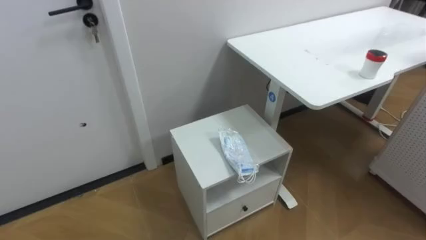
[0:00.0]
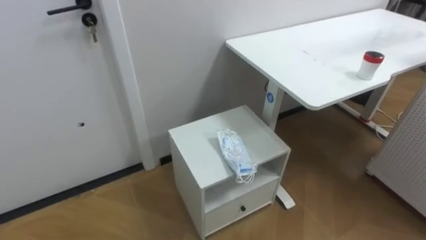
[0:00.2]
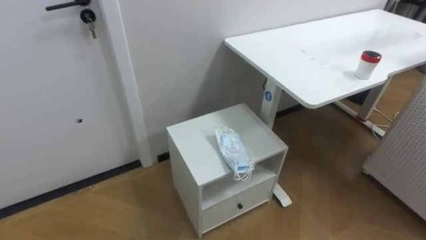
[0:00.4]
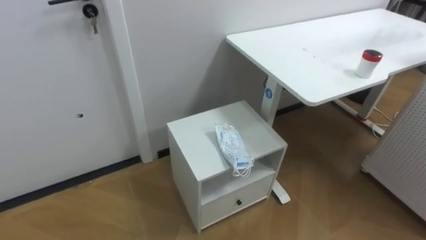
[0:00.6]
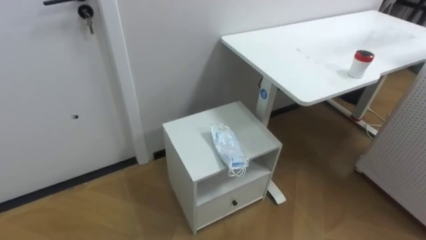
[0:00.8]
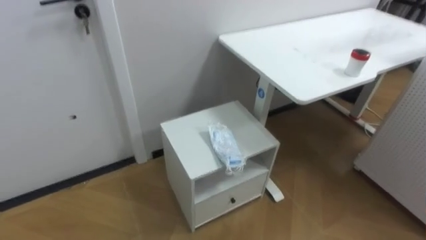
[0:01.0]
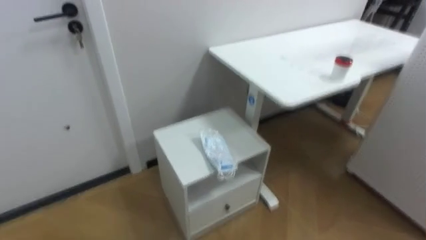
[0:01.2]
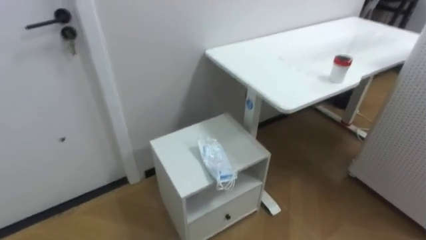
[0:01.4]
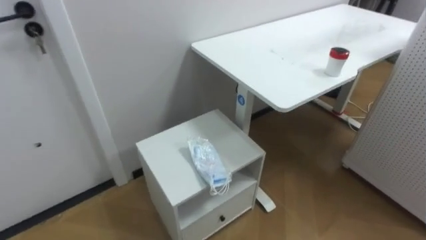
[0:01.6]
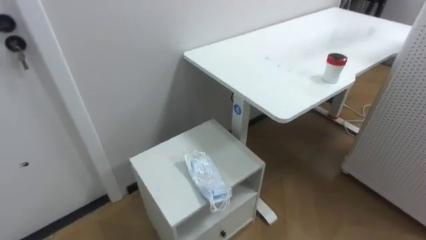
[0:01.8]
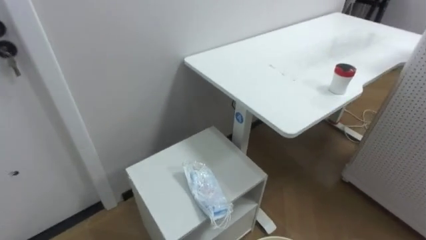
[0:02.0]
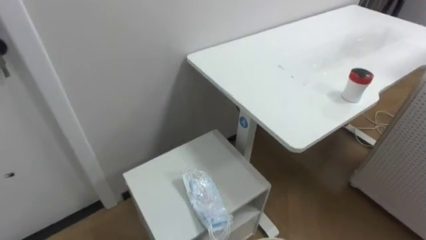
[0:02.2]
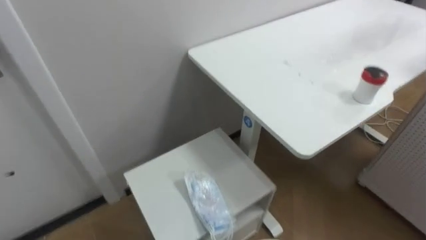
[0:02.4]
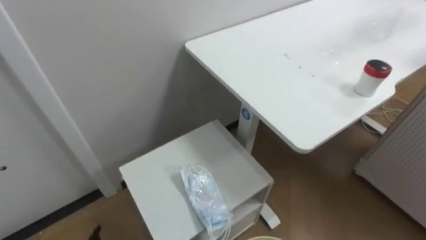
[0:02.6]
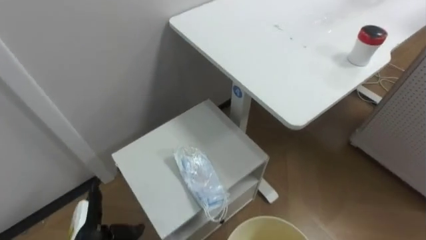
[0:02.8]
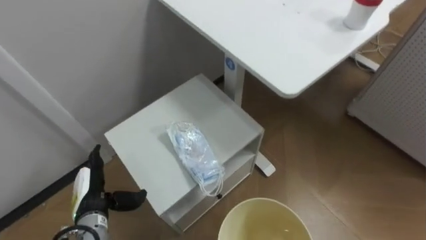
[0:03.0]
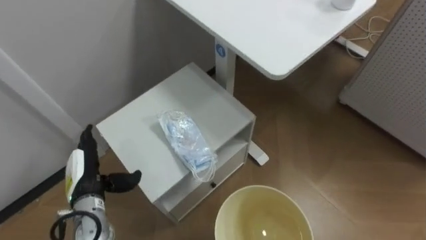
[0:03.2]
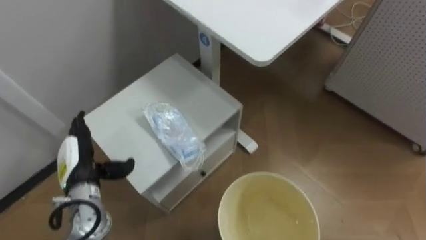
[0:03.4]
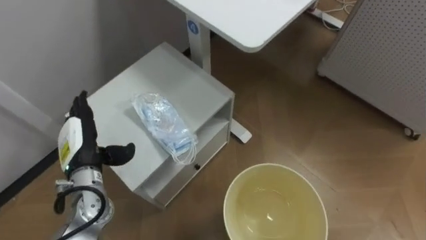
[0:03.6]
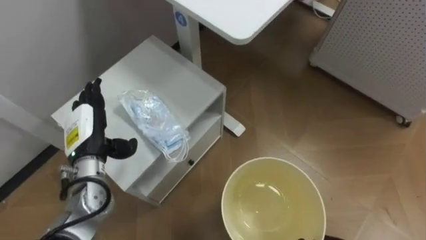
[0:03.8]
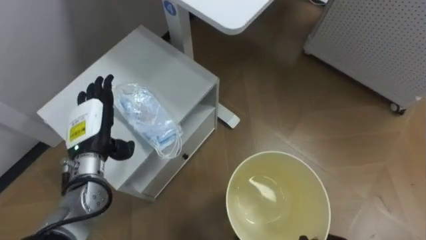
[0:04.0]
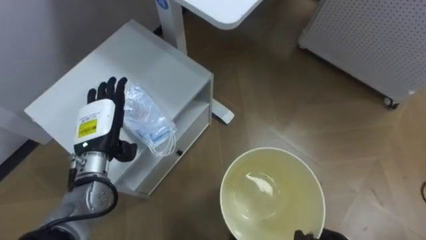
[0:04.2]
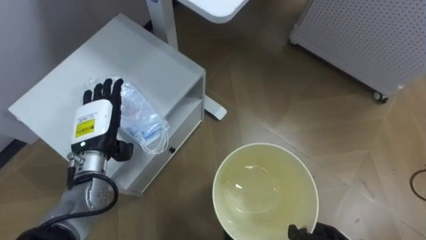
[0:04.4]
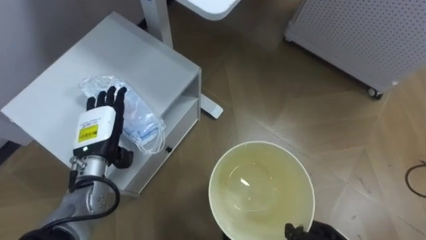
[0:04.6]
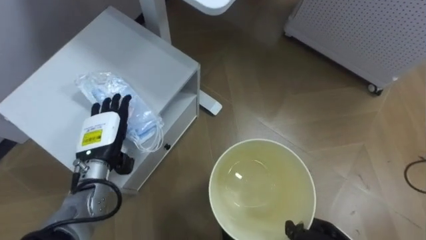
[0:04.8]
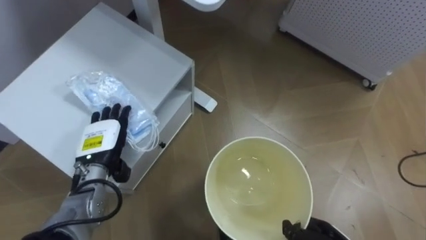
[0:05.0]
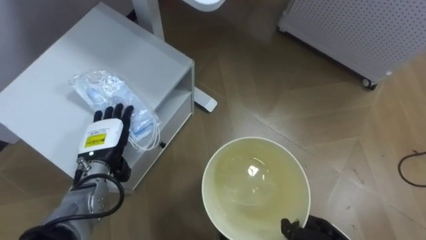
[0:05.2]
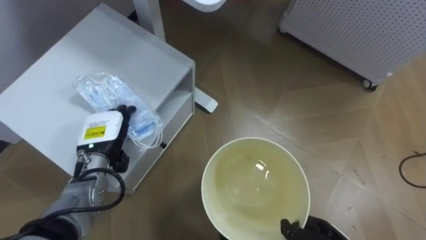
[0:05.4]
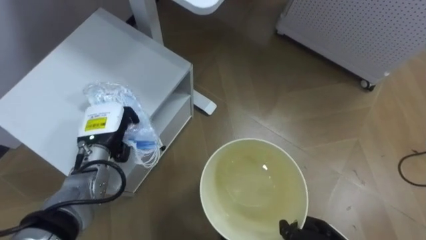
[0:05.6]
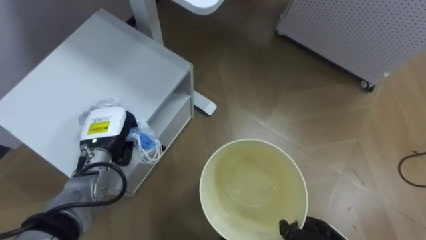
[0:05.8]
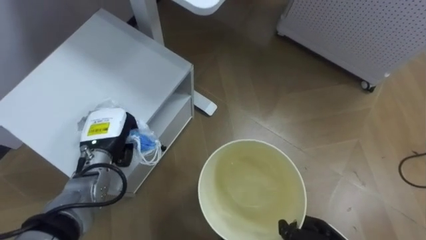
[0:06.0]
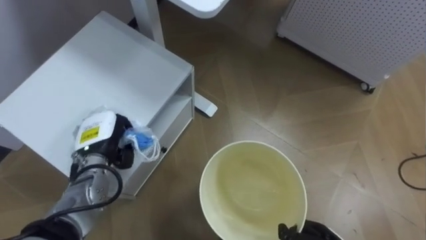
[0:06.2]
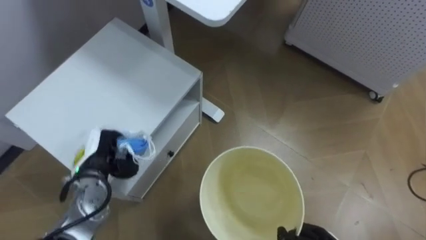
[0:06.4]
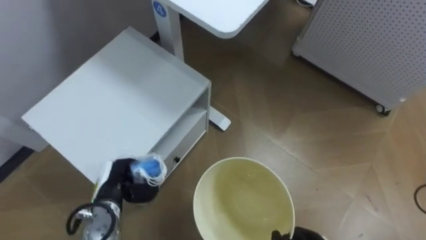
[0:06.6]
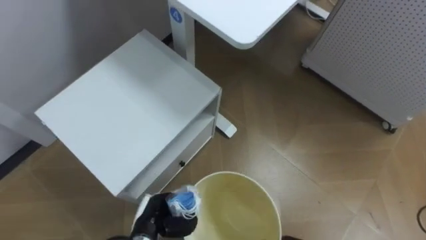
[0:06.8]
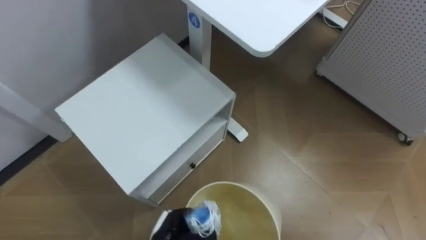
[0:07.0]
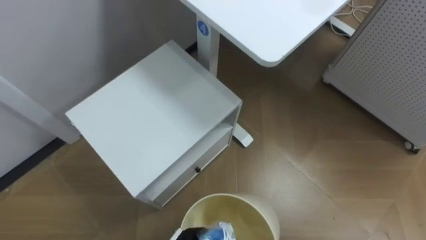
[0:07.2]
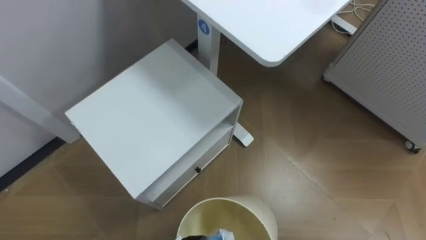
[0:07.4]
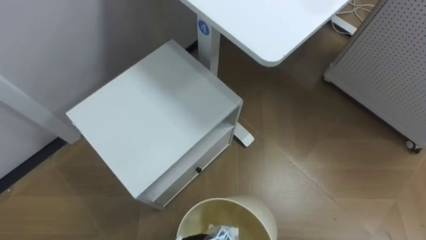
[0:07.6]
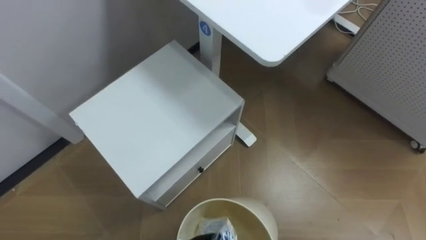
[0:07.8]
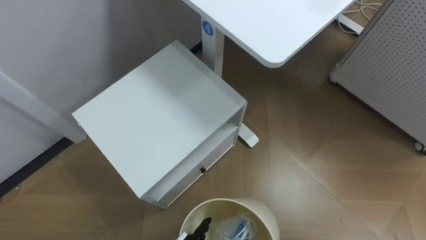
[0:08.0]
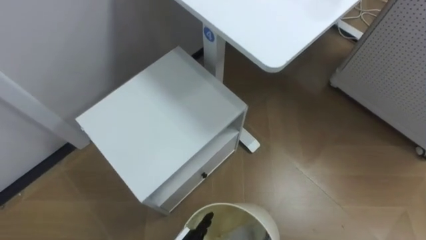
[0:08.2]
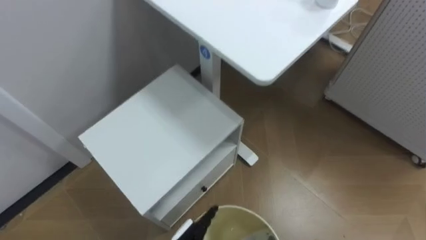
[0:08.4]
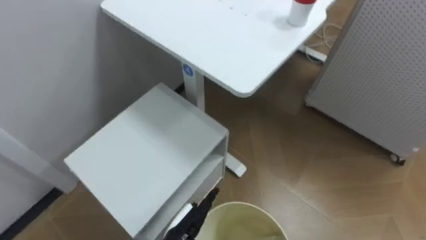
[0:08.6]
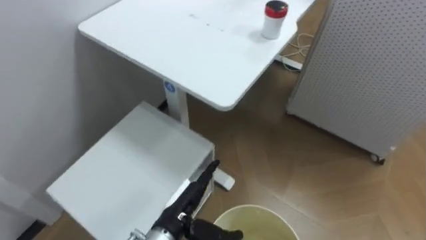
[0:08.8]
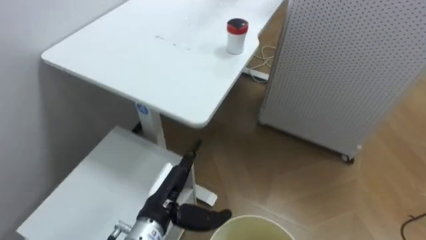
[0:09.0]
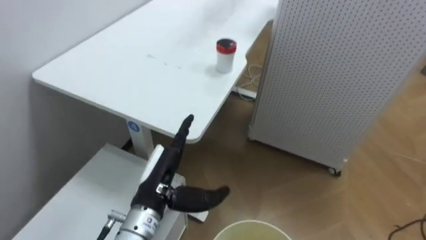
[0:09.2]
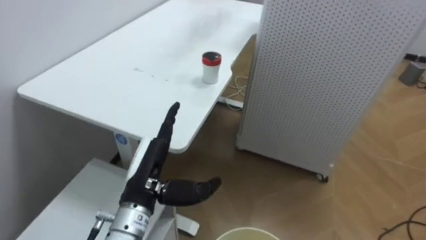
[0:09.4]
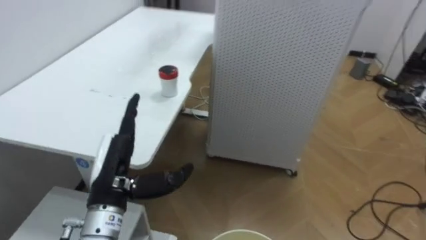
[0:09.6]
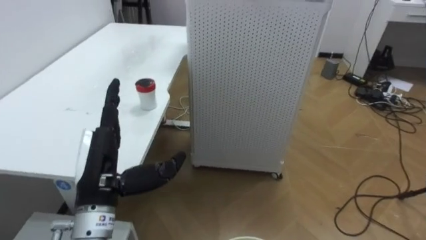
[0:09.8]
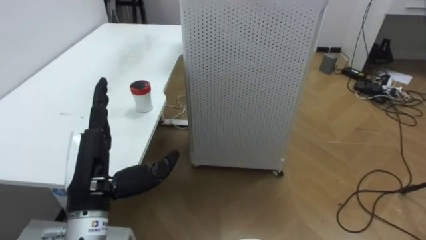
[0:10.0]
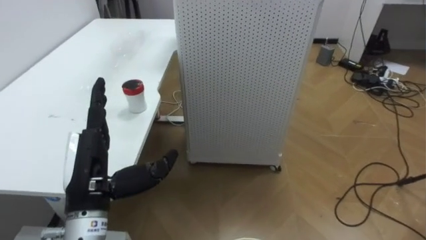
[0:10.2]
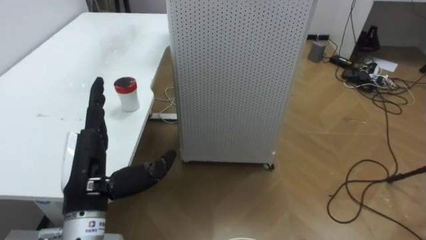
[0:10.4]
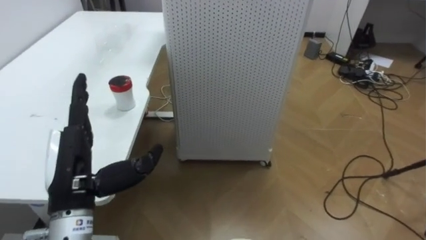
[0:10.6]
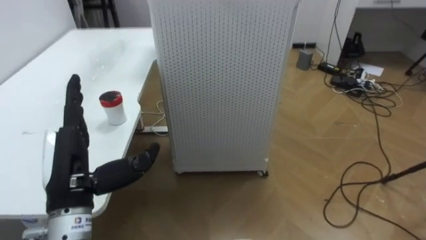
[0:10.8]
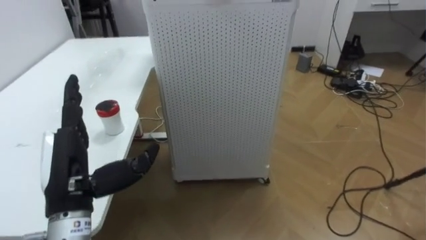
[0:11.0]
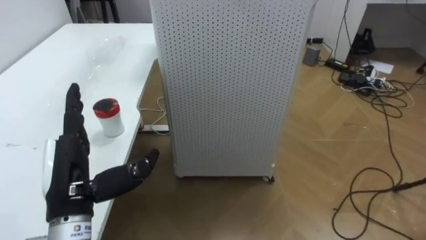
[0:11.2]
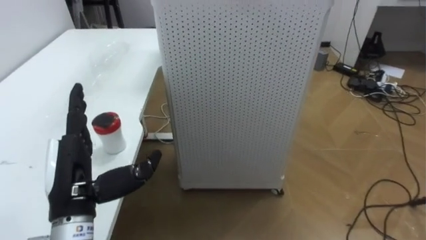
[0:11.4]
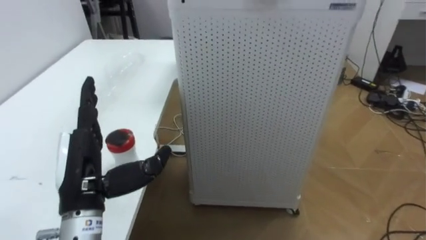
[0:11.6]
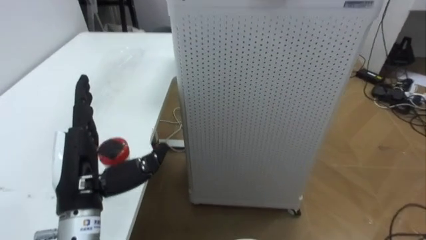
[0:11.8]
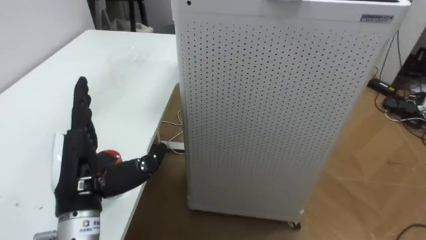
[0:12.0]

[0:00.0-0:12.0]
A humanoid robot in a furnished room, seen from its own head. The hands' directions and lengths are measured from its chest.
Task of the whole recording: Pick up the light blue package, the candy box, and the dark blue package separately, and put them into the trash can held in your right hand.
0:03.0 to 0:04.4: The left hand is displaced upward and forward by approximately 15 cm.
0:04.4 to 0:06.0: The left hand closes up.
0:07.6 to 0:09.0: The robot rotates some 15 degrees to its right.
0:09.0 to 0:10.4: The robot turns to its right by about 30 degrees. The left hand goes some 15 cm upward and to the left.

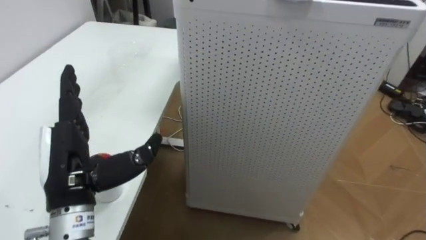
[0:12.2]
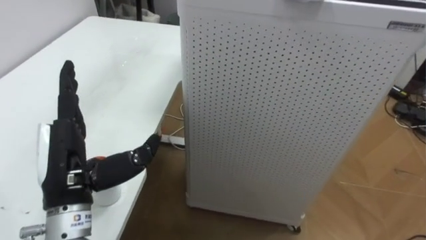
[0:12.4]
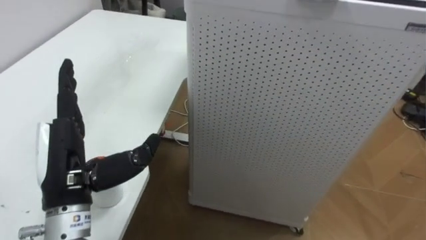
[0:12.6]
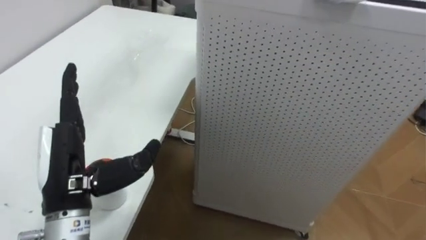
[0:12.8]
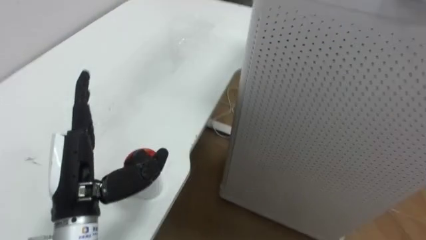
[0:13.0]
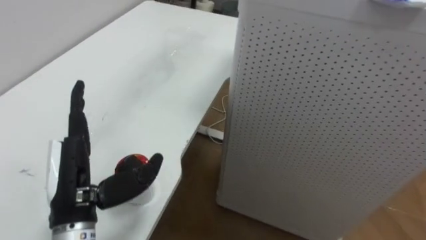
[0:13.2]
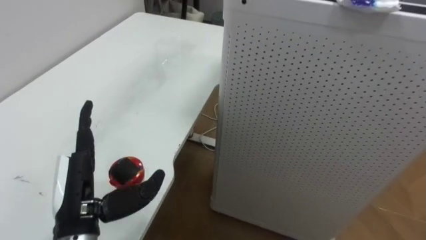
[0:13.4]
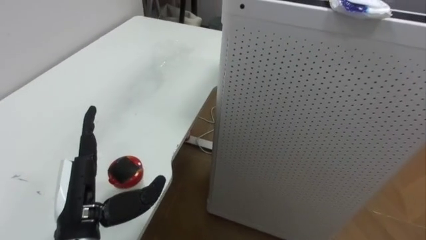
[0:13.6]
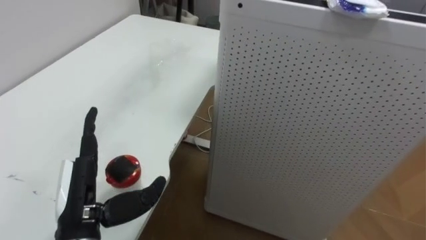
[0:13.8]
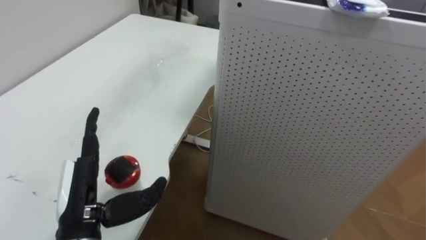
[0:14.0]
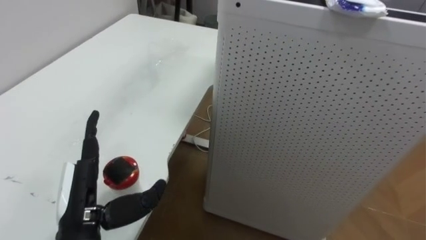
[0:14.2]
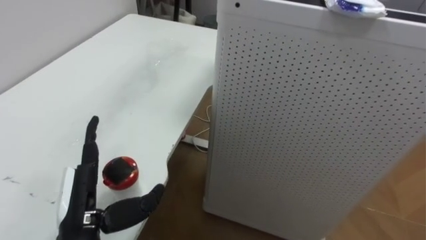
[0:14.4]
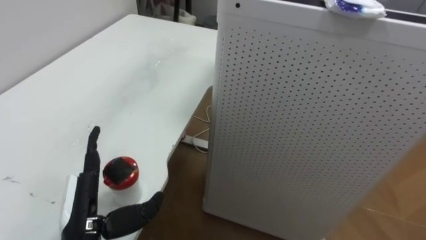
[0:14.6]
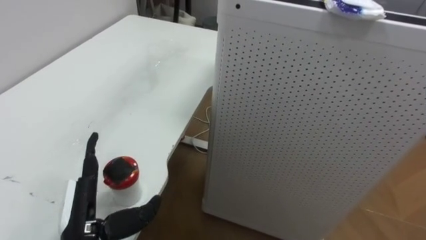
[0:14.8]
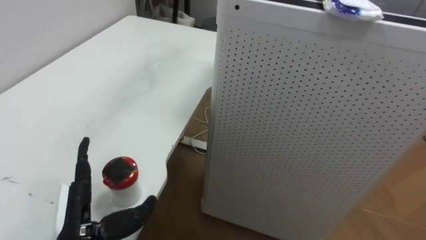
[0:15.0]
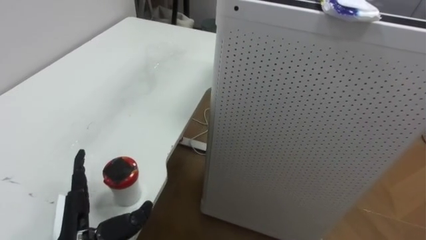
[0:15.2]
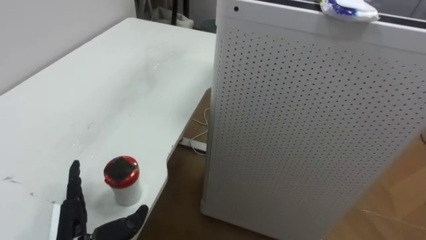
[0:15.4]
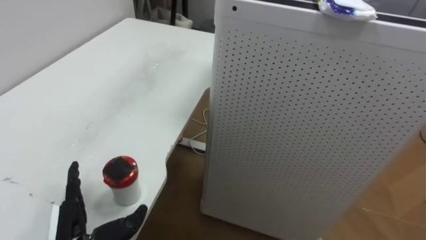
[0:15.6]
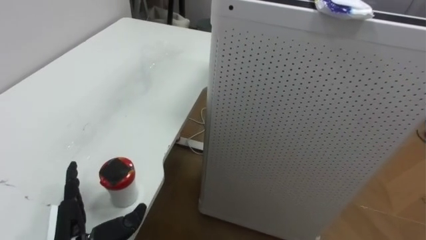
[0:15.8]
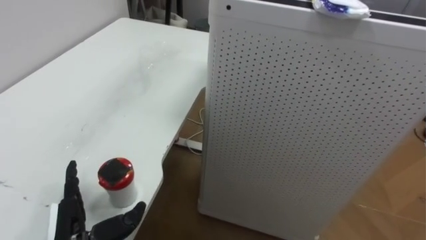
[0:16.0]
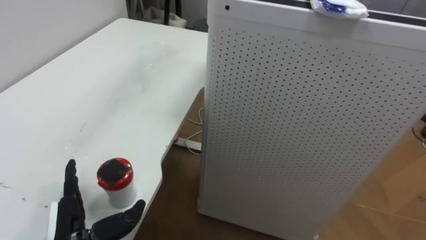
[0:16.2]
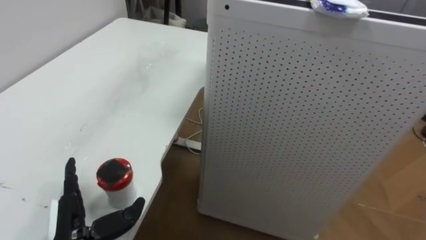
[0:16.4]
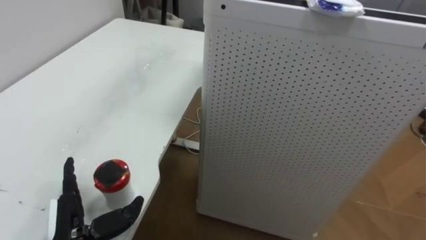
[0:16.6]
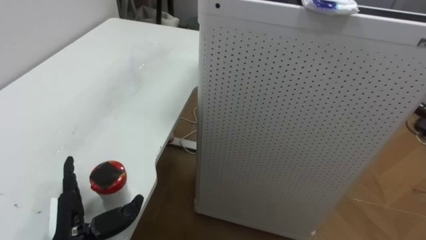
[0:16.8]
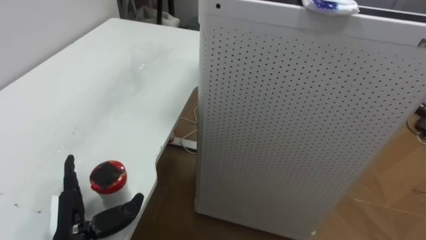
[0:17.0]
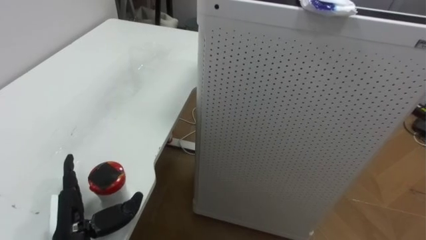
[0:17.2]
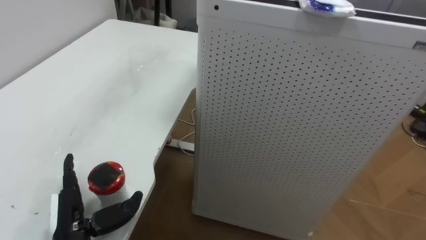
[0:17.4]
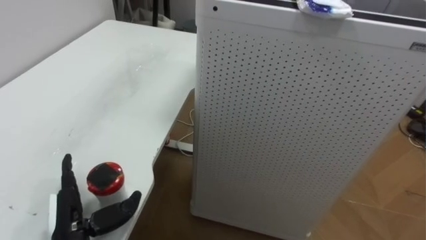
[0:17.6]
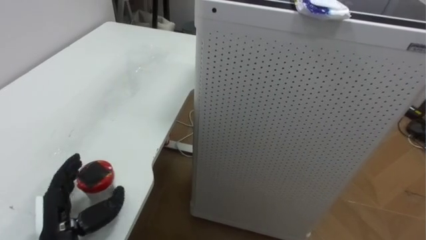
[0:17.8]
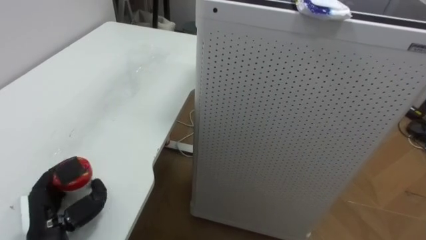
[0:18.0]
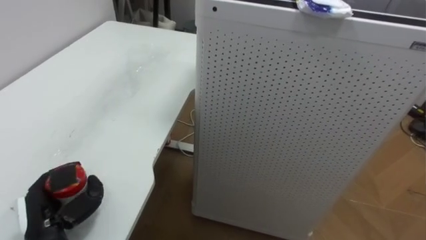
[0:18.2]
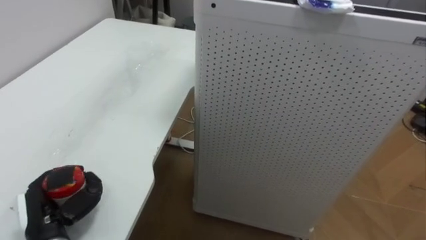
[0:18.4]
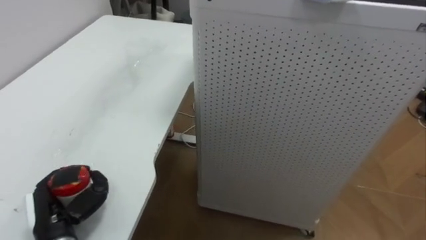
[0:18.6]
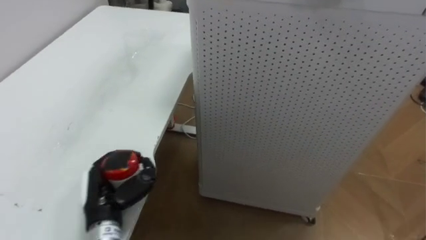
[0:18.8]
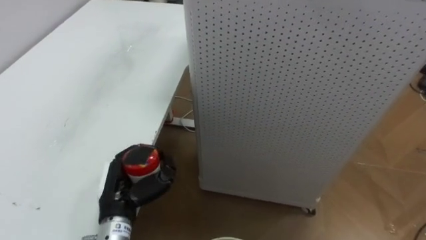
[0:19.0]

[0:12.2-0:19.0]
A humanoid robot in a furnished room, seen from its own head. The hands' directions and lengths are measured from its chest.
Task of the whole recording: Pick up the light blue package, the candy box, and the dark blue package separately, and put them into the trash can held in your right hand.
0:12.2 to 0:13.6: The left hand heads downward, covering approximately 5 cm.
0:13.6 to 0:15.0: The left hand ends up roughly 5 cm from where it was.
0:17.6 to 0:19.0: The left hand goes some 10 cm to the right and forward, and closes its fingers.
